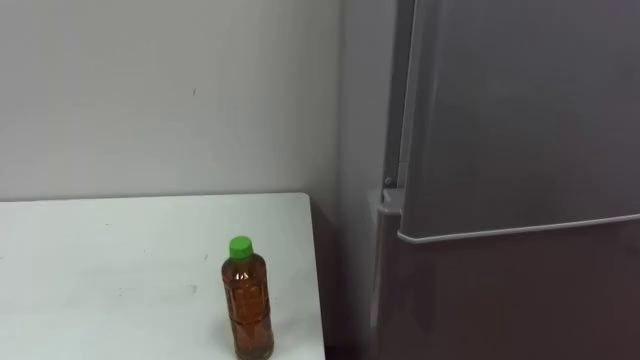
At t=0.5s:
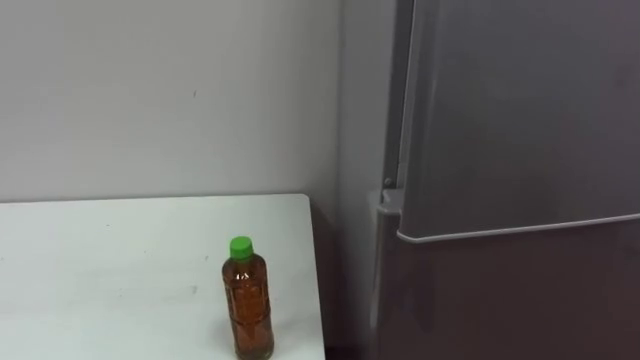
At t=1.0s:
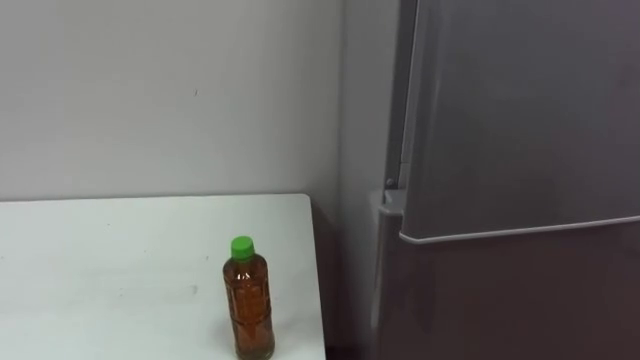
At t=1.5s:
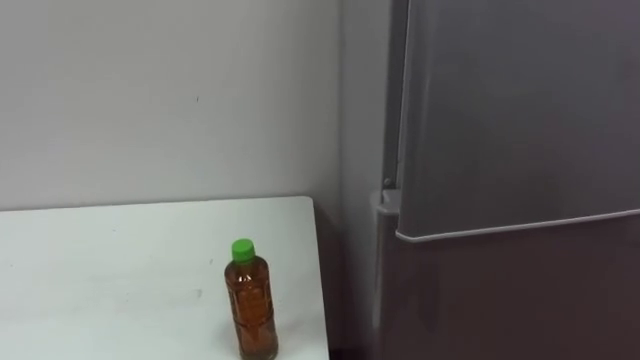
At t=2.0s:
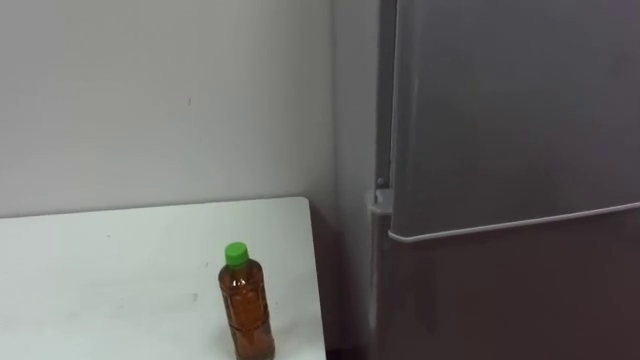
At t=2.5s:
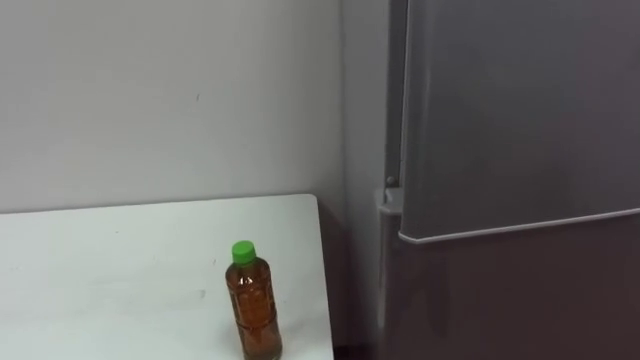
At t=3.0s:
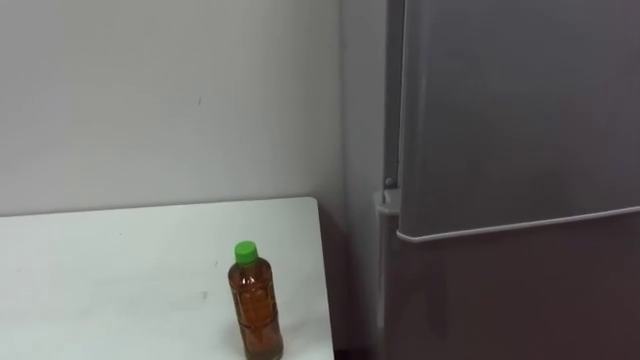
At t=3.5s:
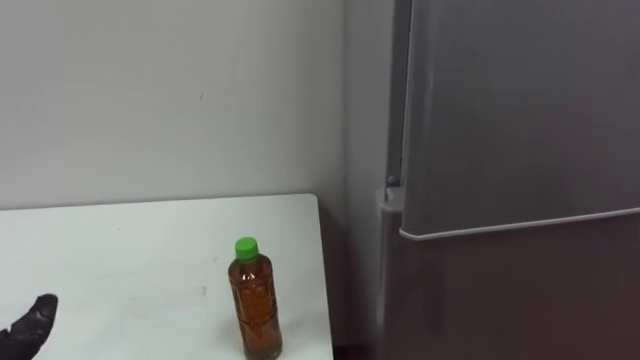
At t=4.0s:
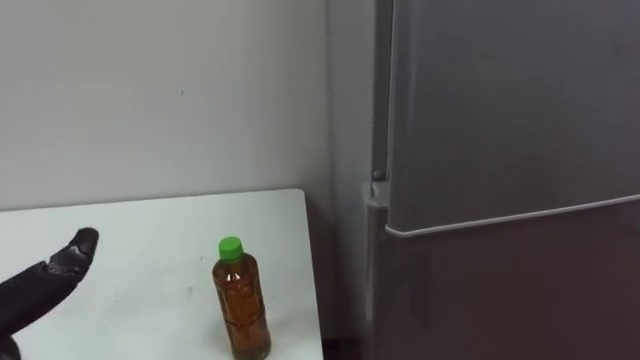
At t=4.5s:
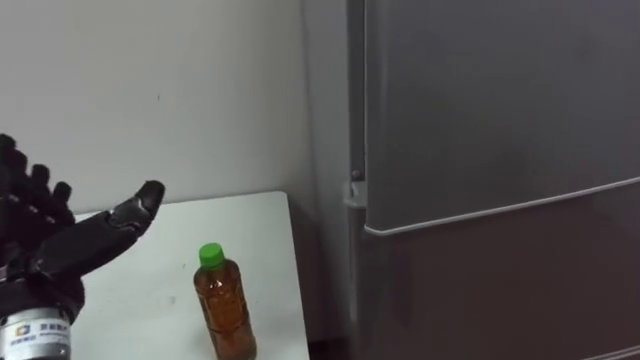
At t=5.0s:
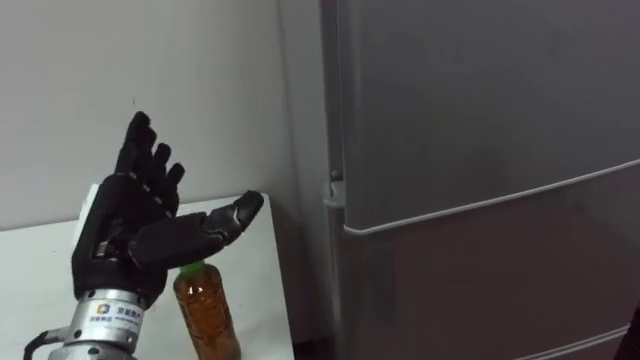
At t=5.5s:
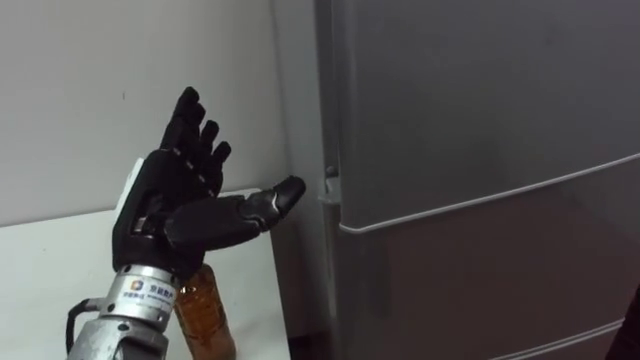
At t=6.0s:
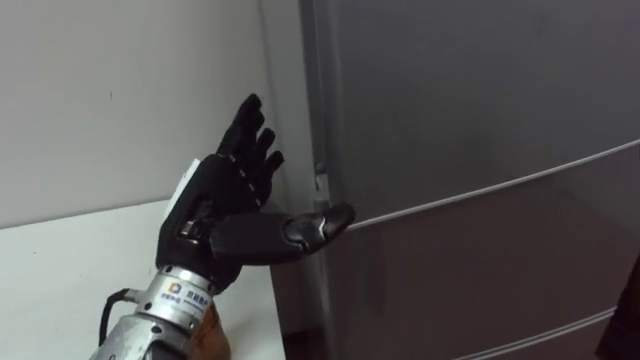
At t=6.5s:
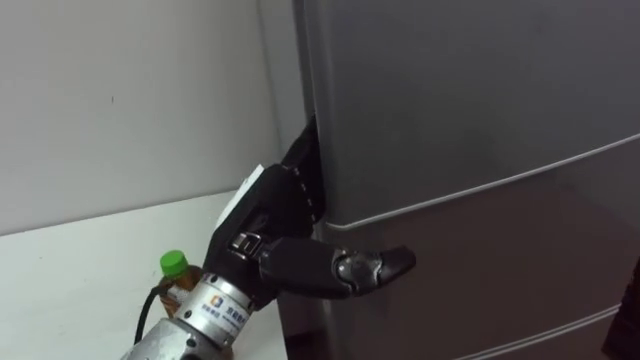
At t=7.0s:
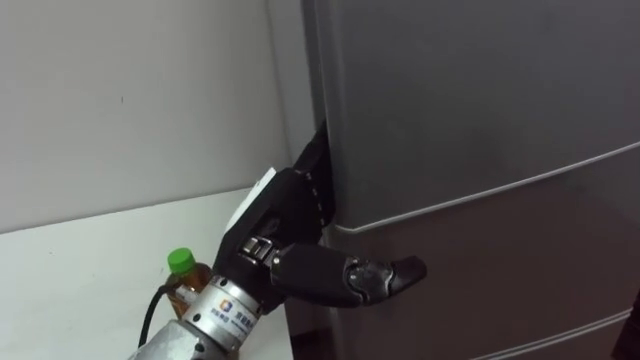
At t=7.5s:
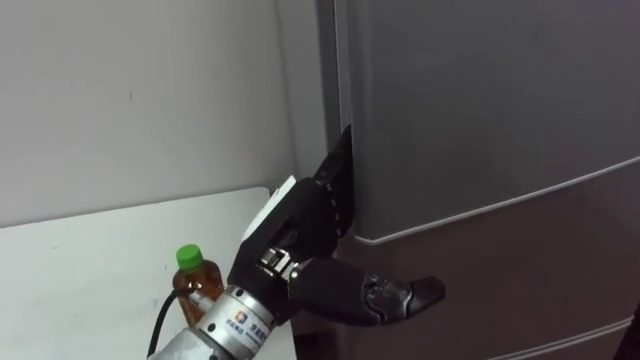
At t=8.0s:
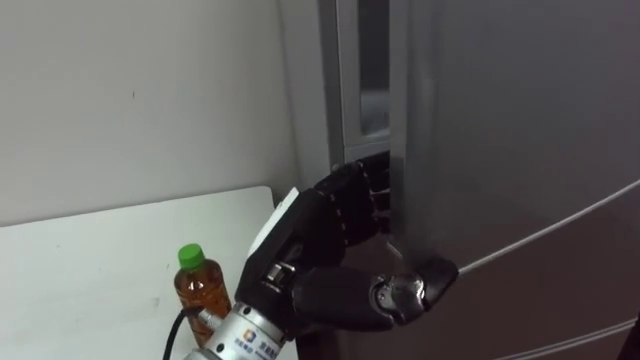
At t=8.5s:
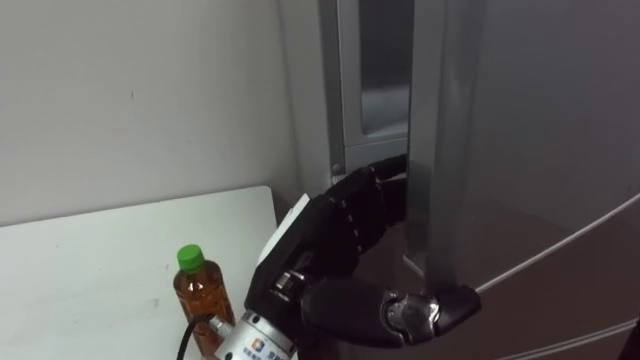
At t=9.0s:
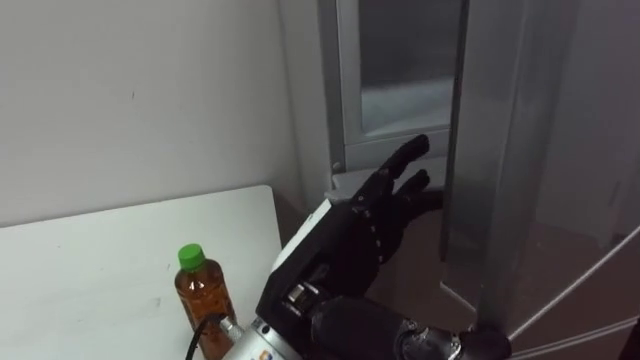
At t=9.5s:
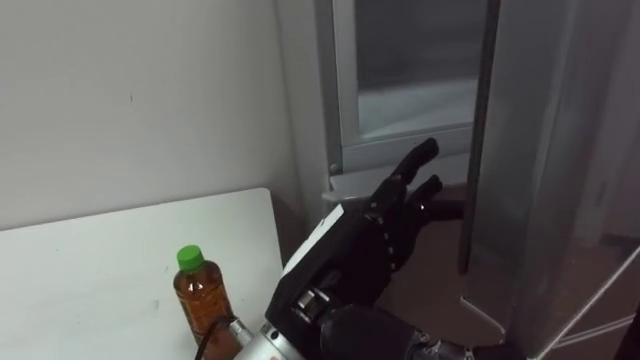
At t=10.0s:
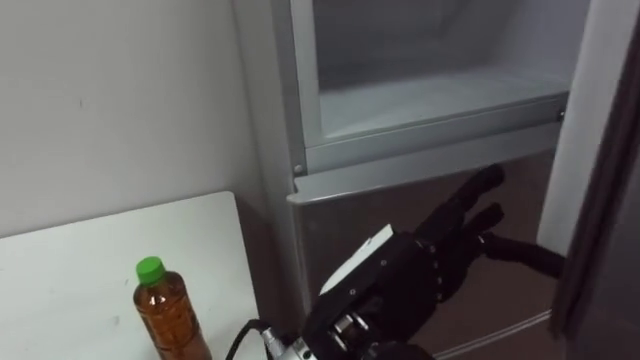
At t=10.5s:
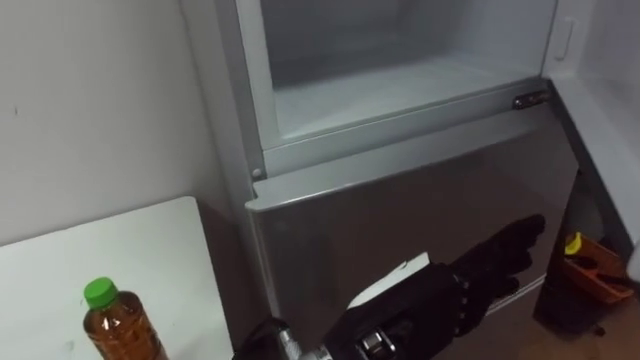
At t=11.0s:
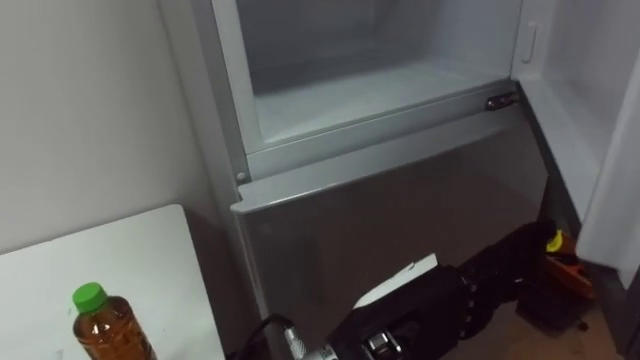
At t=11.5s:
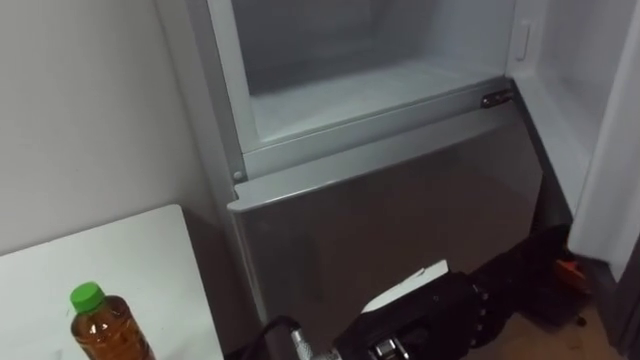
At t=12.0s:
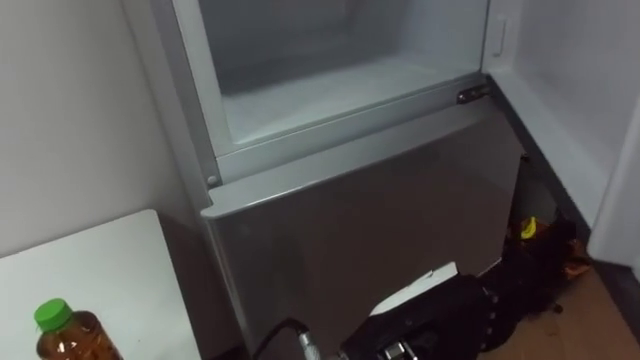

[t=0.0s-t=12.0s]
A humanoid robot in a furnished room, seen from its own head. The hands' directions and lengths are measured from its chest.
Task of the whole recording: Open the upper refrigerator door, put the drink from the table into the refrigerator, and then close the refrigerator door.
t=6.0s to t=8.0s: The left hand heads to the right, covering some 10 cm, and closes up.
t=8.0s to t=10.0s: The left hand moves to the right, some 5 cm, and opens.

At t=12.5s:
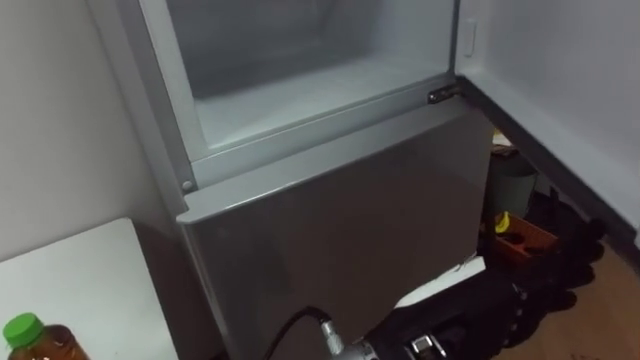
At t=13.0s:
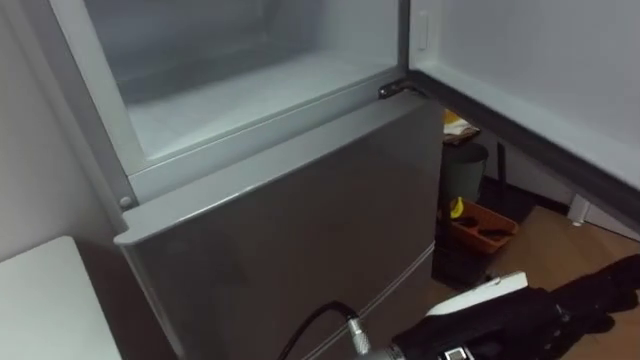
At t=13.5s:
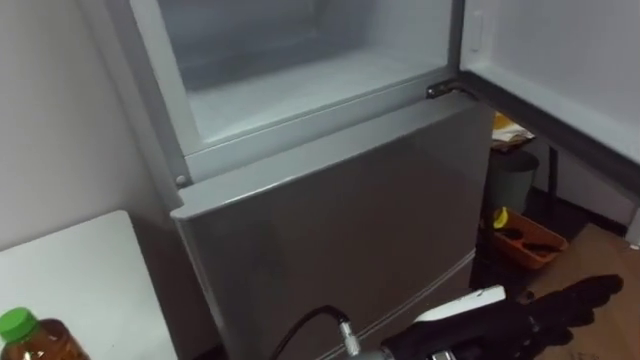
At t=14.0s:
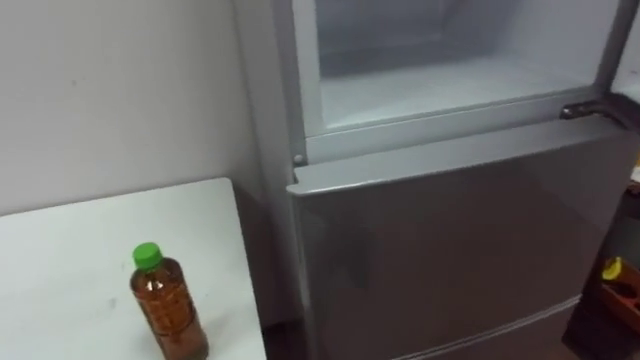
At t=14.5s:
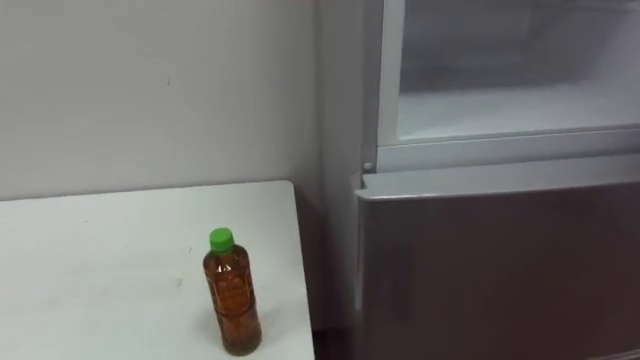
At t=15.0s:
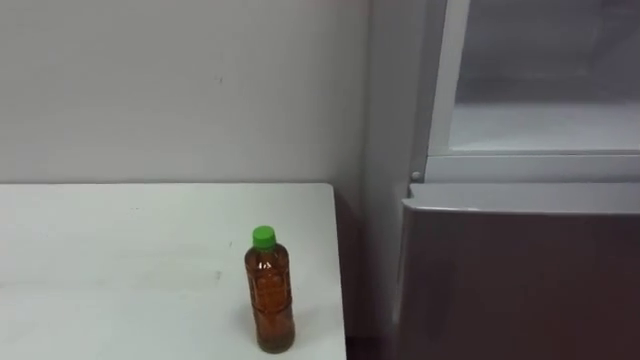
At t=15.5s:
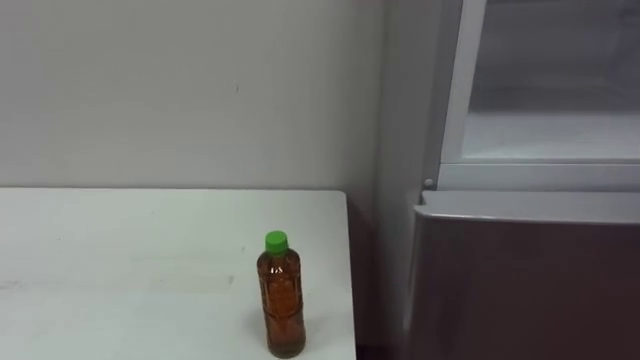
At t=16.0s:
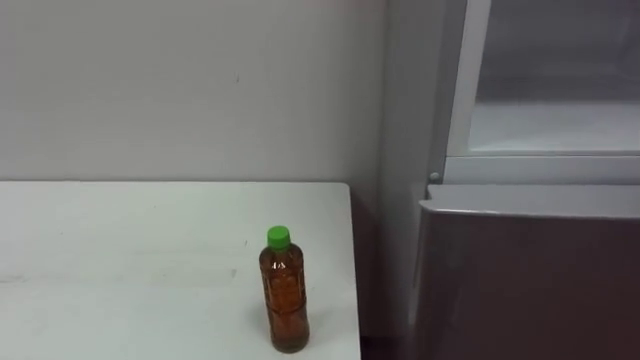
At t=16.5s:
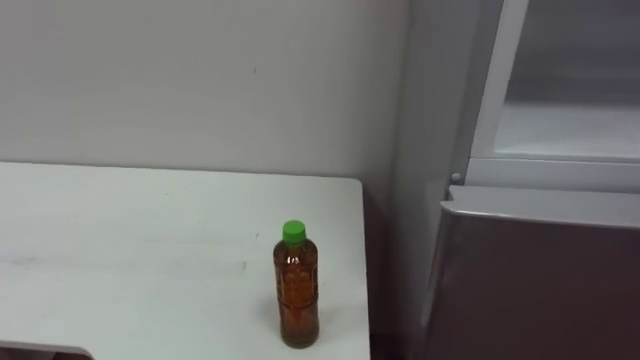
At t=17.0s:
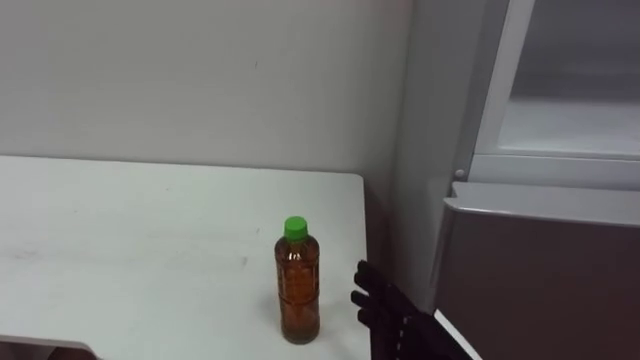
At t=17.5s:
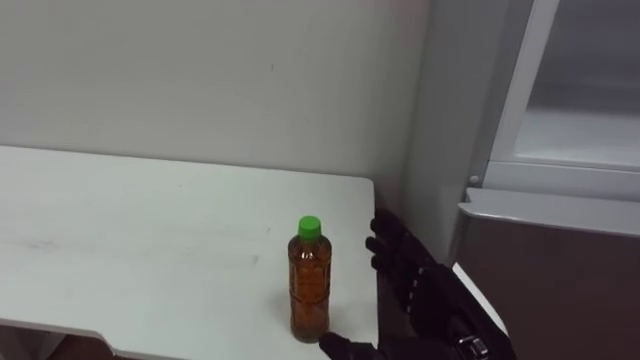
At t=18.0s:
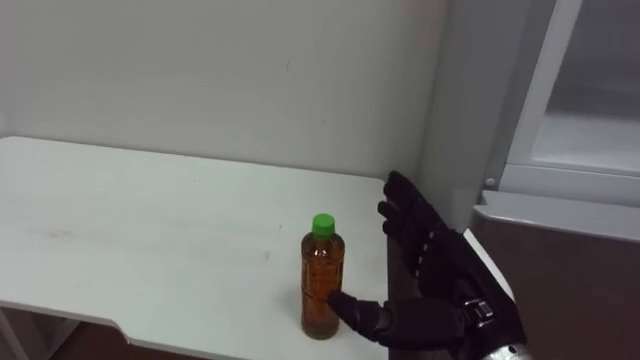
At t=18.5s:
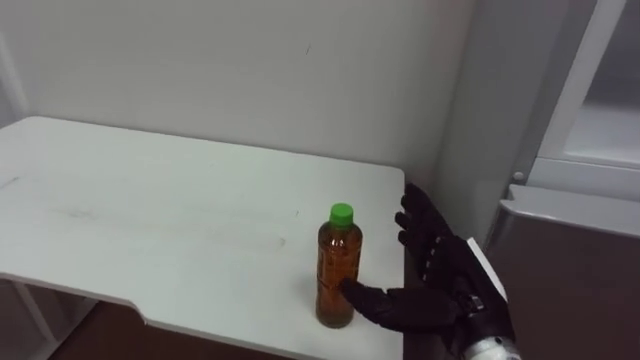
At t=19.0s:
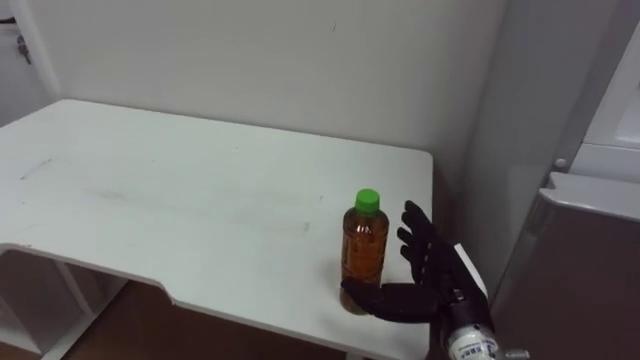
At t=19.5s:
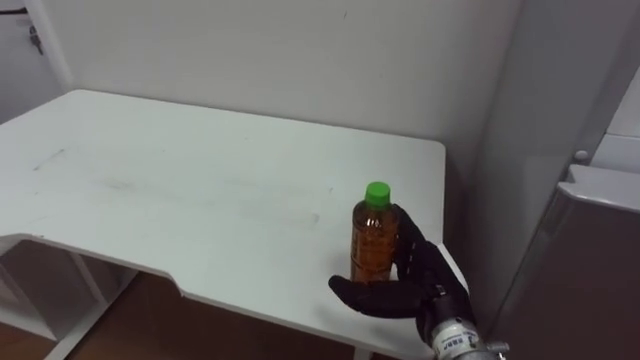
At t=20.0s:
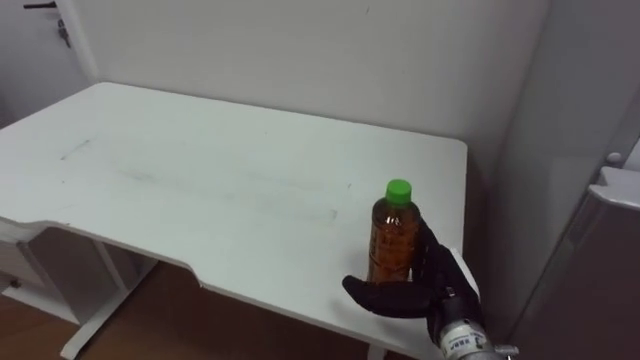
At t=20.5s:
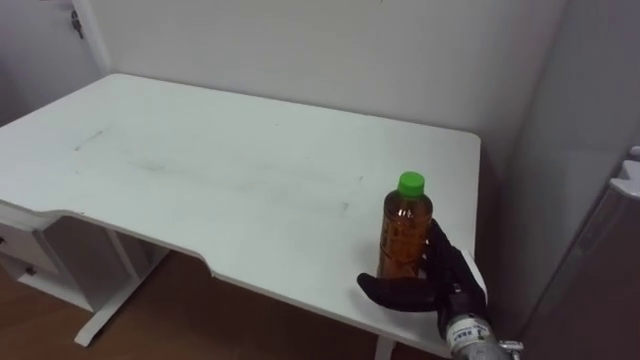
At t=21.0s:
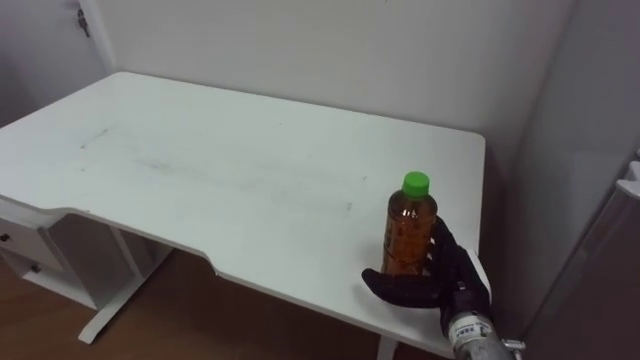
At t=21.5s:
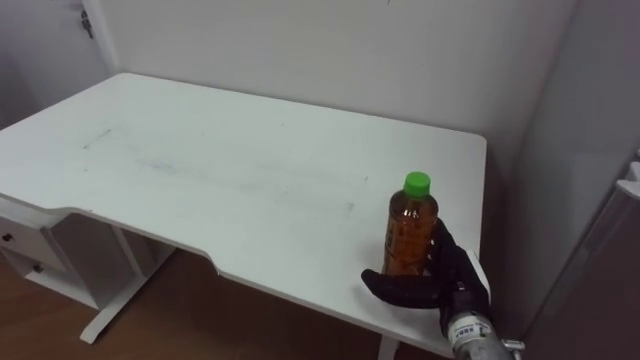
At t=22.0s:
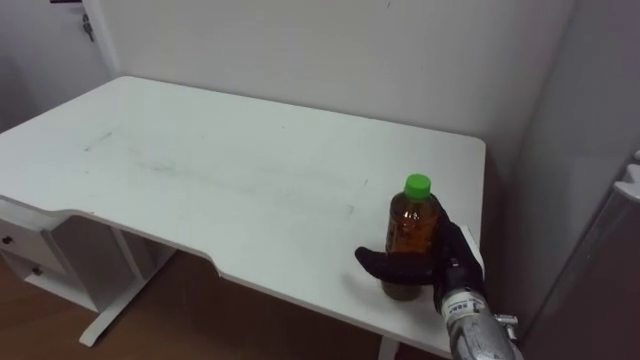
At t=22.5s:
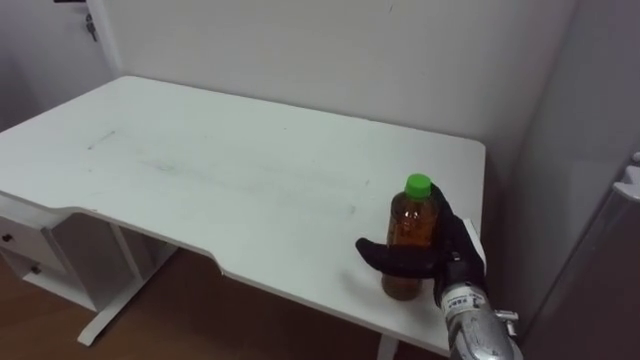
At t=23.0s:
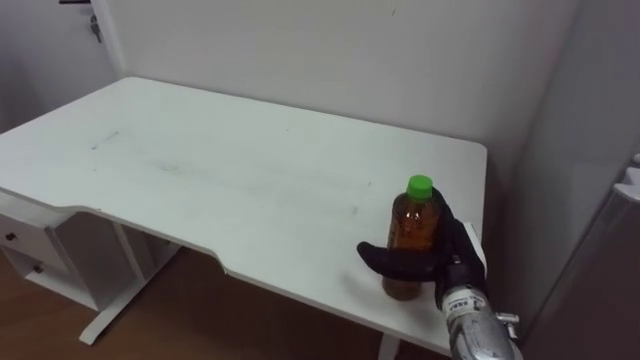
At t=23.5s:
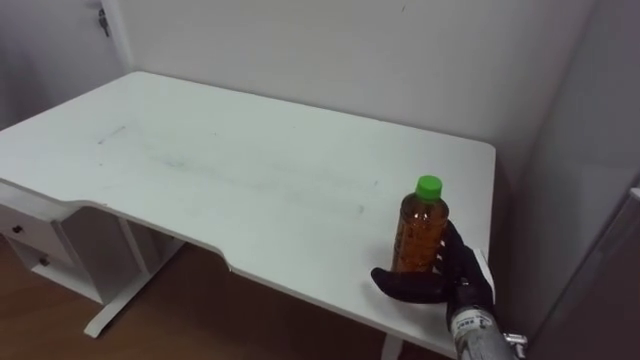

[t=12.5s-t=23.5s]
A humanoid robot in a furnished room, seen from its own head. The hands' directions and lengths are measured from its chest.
Task of the whole recording: Open the upper refrigerator door, put the drink from the table into the refrigerator, and then close the refrigerator door.
t=18.0s to t=20.0s: The right hand travels downward and forward by approximately 10 cm.
